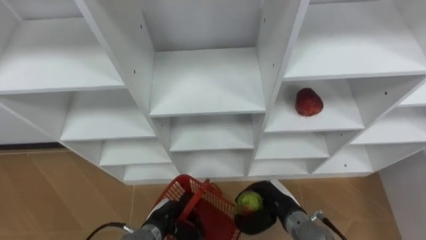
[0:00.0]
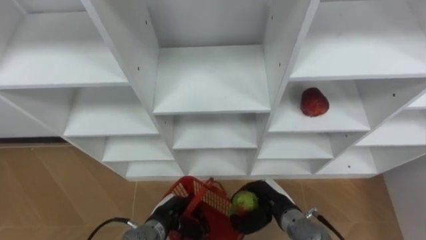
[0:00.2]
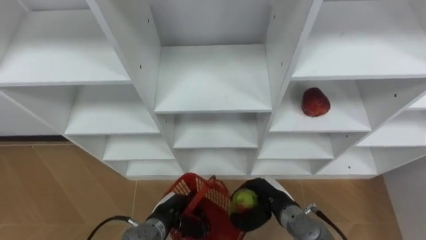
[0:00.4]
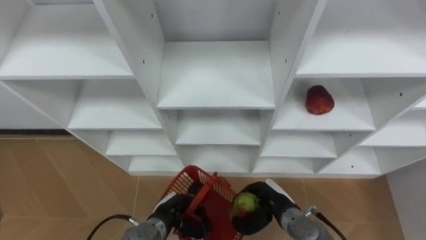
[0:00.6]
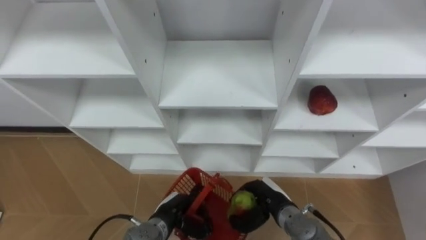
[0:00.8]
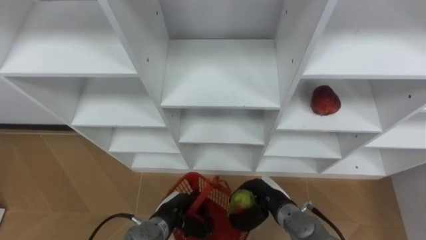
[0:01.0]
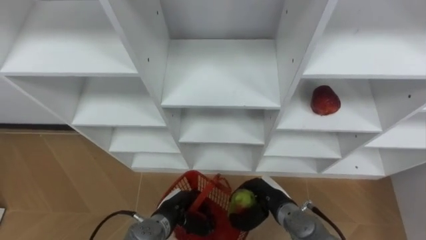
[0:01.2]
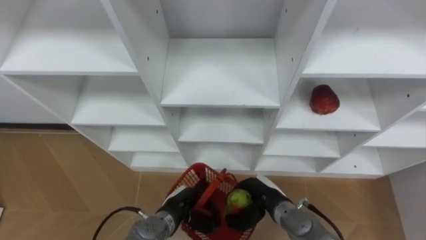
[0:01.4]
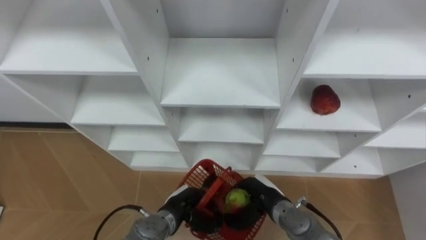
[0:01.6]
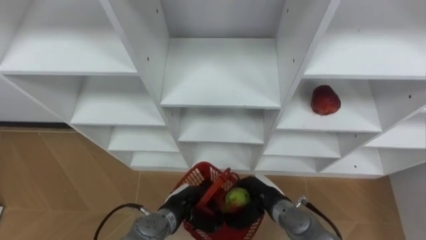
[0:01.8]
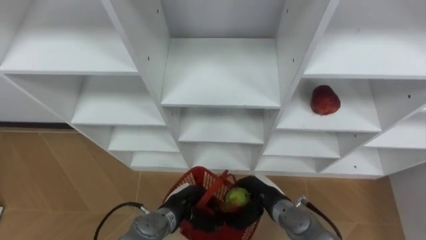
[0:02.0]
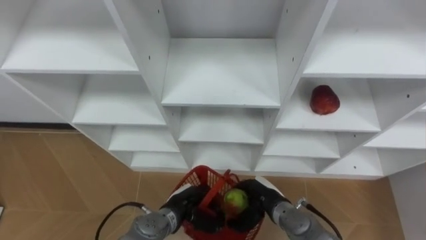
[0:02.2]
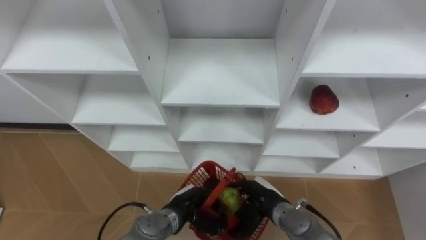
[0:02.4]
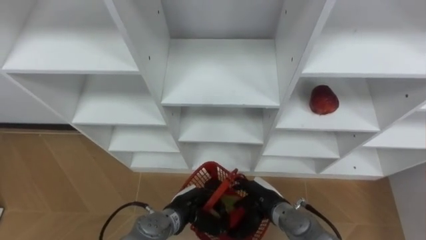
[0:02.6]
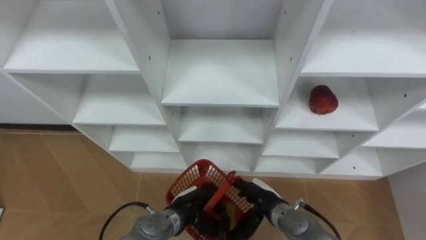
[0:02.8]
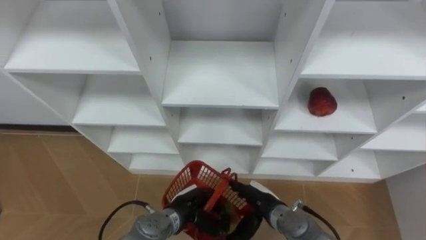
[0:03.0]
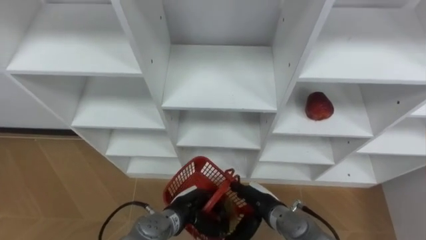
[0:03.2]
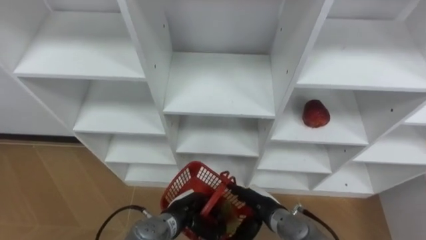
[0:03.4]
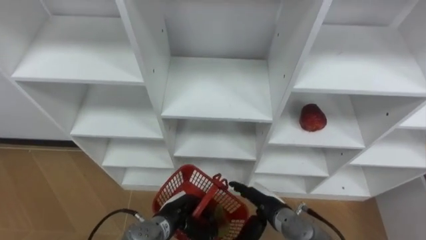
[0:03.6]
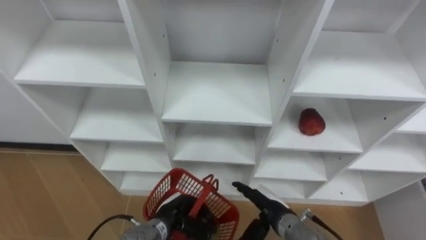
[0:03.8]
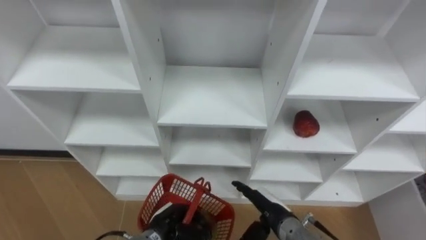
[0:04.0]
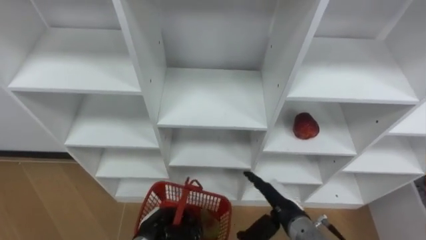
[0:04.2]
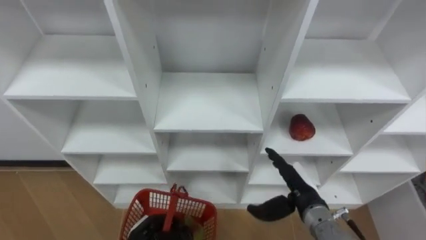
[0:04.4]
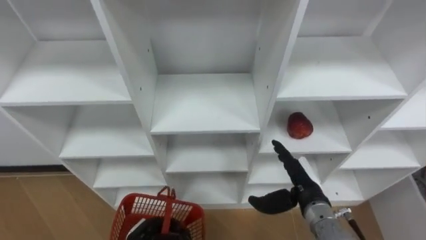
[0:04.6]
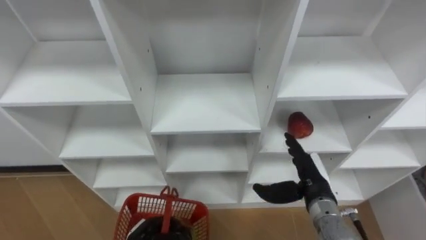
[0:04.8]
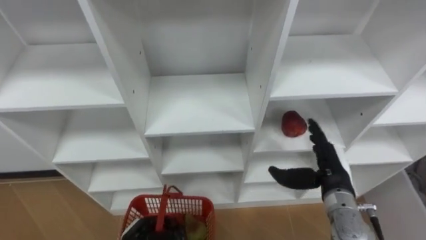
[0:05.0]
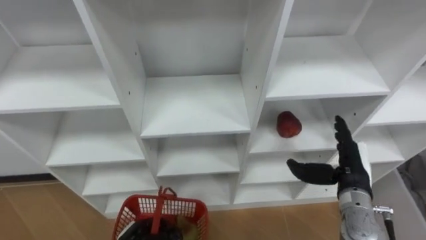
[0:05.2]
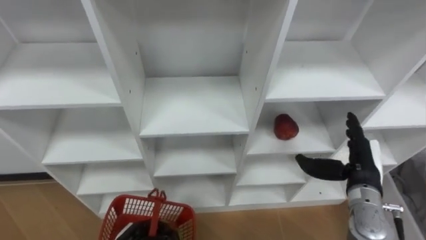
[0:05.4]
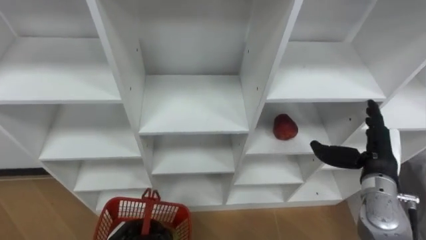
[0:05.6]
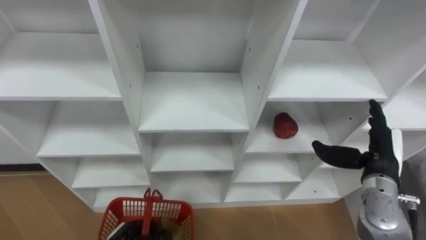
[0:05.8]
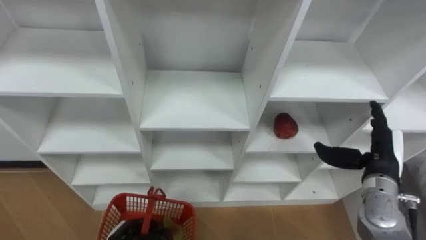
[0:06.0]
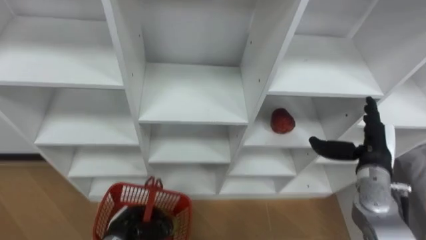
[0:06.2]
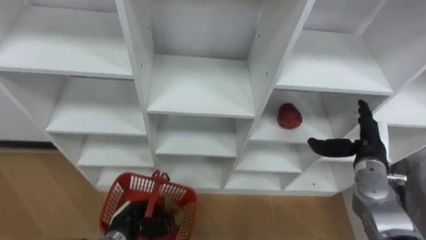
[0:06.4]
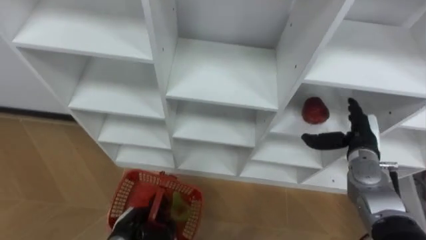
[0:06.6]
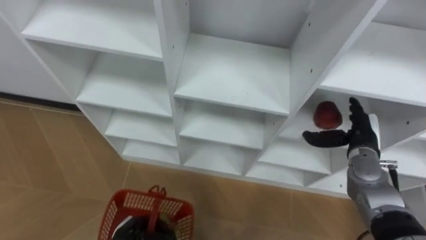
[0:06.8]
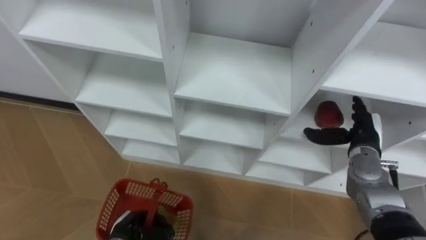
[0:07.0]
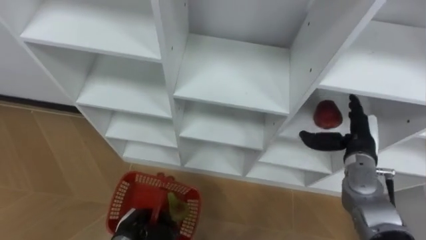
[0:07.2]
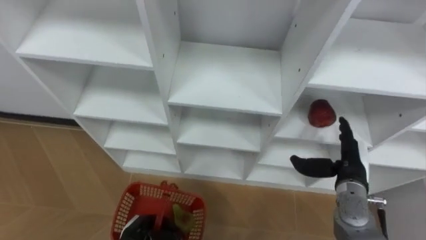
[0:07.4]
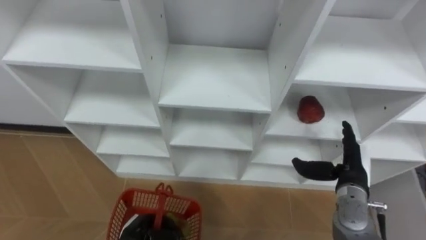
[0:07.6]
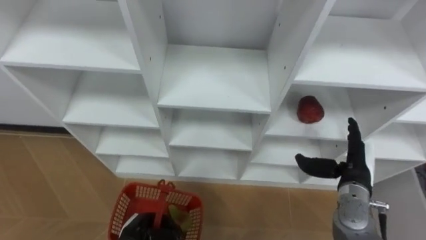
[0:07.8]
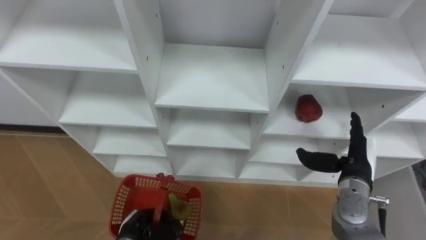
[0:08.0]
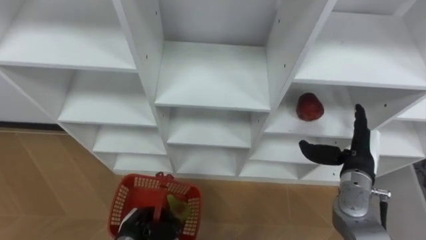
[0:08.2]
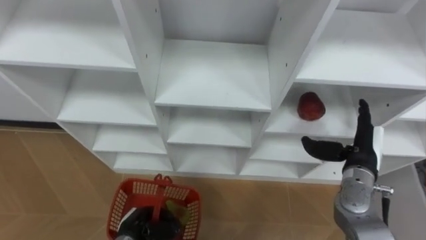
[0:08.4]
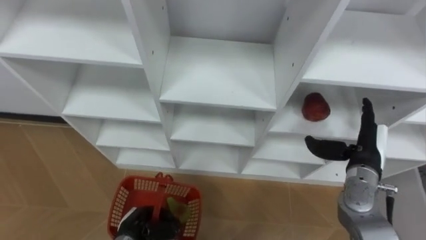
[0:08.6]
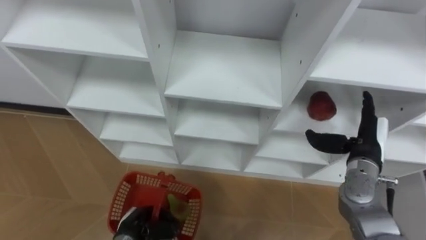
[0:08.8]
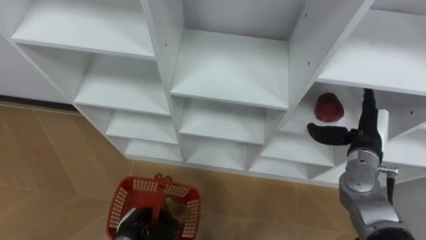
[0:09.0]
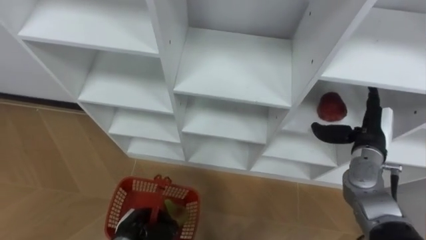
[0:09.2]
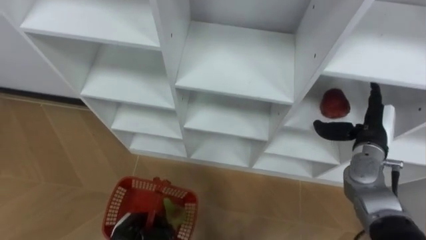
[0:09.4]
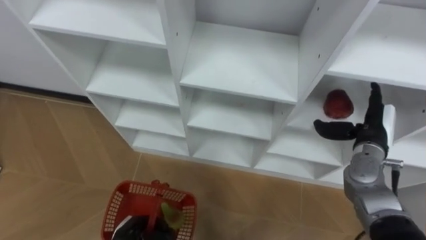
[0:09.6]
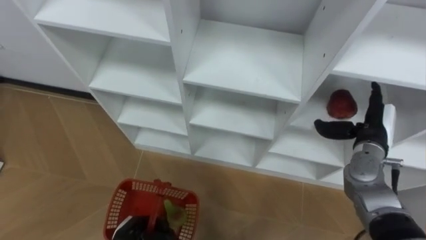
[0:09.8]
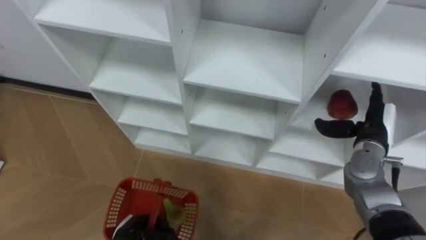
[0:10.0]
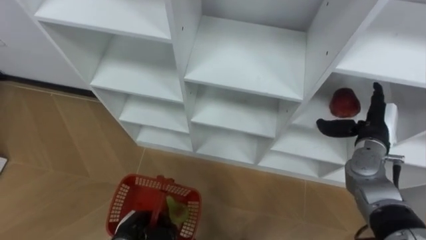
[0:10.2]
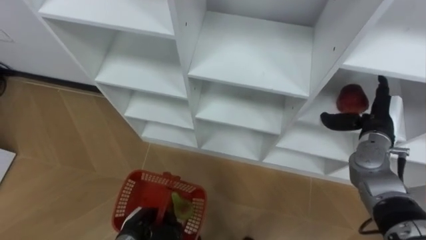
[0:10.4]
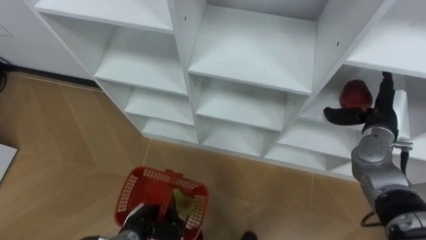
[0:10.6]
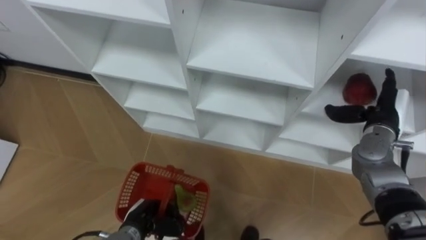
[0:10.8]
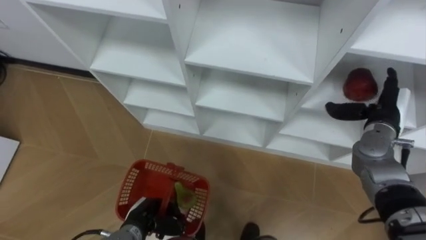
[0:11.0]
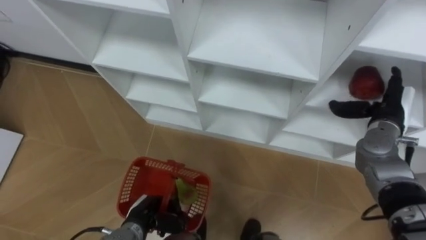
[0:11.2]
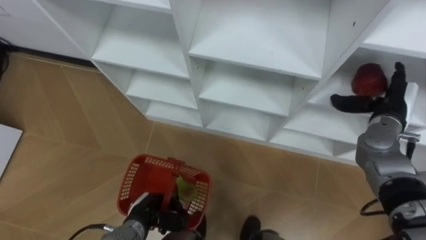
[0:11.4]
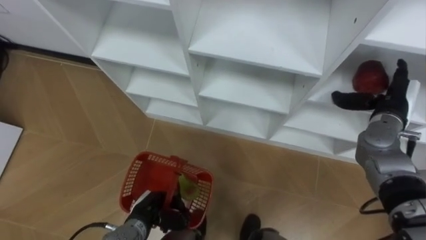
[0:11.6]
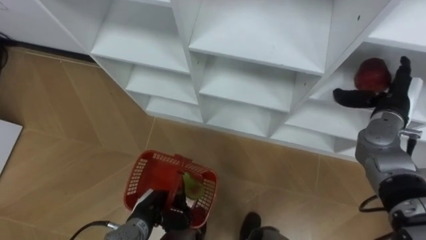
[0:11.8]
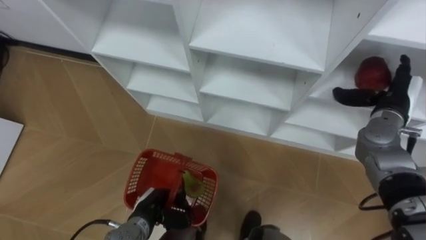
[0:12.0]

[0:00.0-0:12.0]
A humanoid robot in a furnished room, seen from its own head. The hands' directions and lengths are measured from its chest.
Task of the whole recording: Hold the basket and collect the fruits from 3 different cells of the closet into it.
0:00.0 to 0:01.6: The left hand shifts by roughly 5 cm.
0:01.6 to 0:03.0: The right hand opens its fingers.
0:03.0 to 0:04.4: The left hand travels to the left and backward by approximately 10 cm. The right hand goes approximately 10 cm to the right and upward.
0:04.4 to 0:06.0: The right hand is displaced to the right and upward by approximately 15 cm.
0:06.0 to 0:07.6: The right hand moves roughly 5 cm.
0:07.6 to 0:09.0: The right hand goes some 5 cm forward.

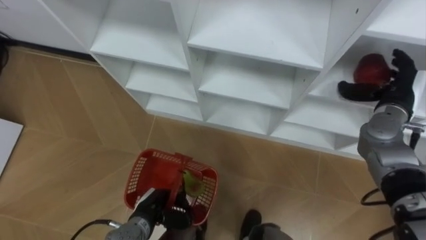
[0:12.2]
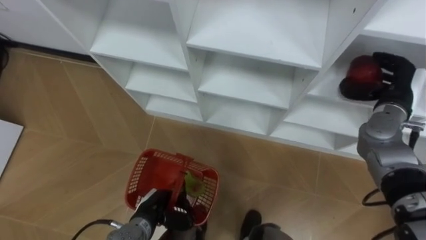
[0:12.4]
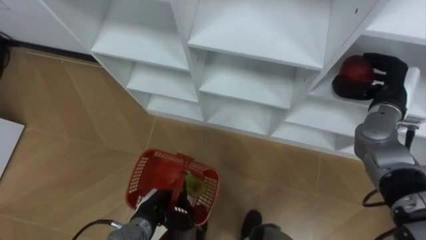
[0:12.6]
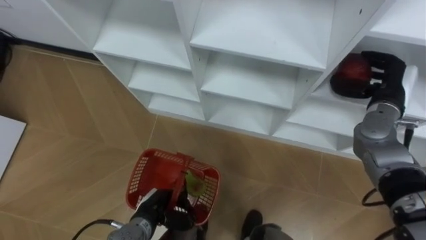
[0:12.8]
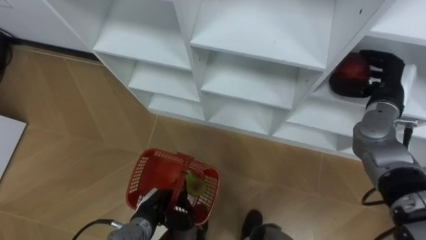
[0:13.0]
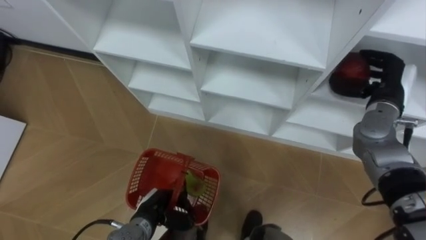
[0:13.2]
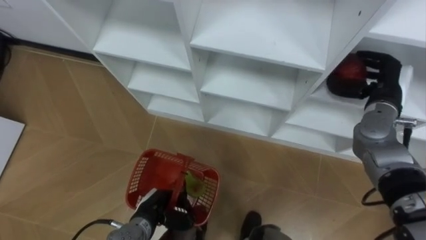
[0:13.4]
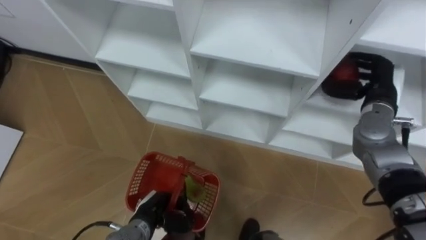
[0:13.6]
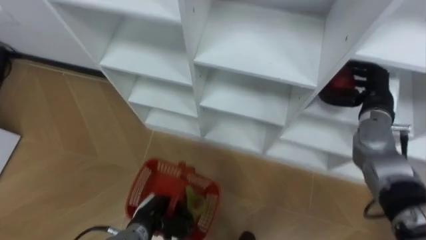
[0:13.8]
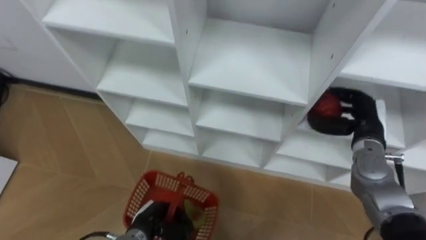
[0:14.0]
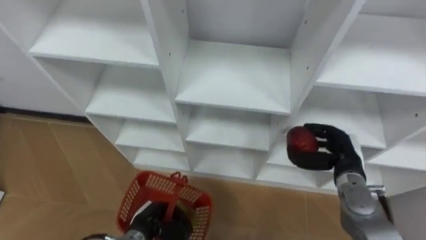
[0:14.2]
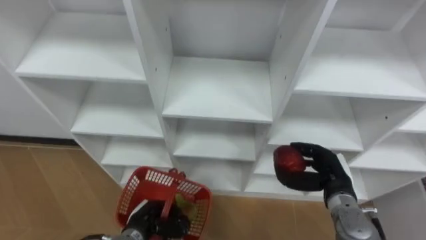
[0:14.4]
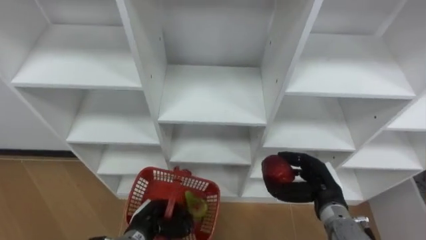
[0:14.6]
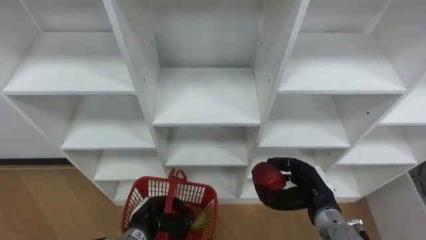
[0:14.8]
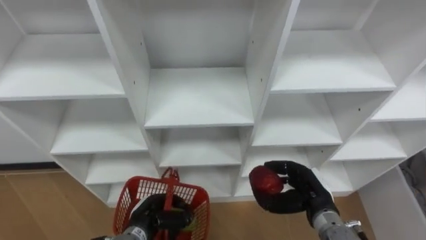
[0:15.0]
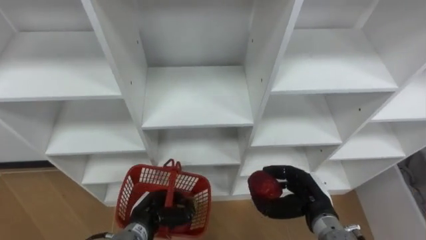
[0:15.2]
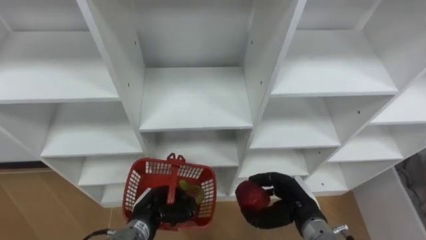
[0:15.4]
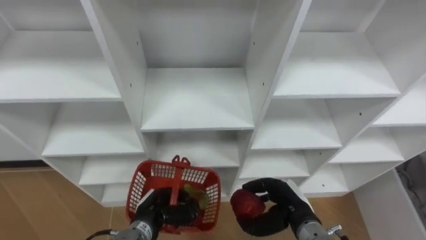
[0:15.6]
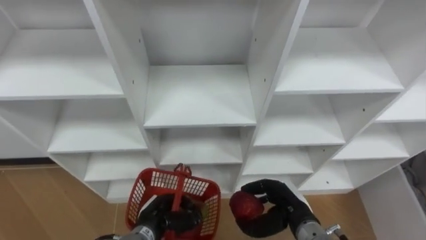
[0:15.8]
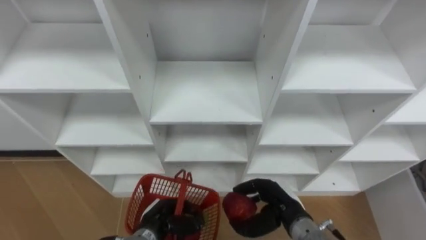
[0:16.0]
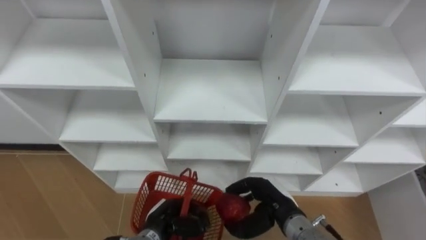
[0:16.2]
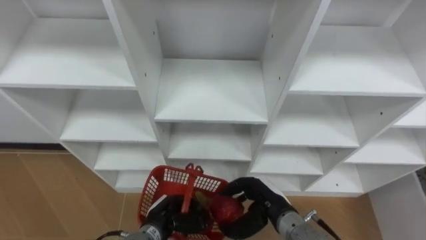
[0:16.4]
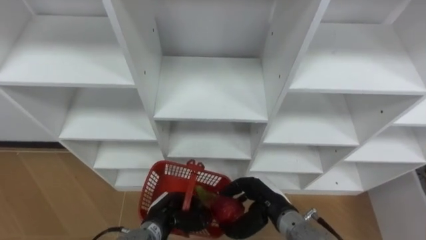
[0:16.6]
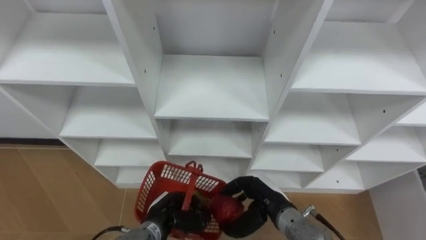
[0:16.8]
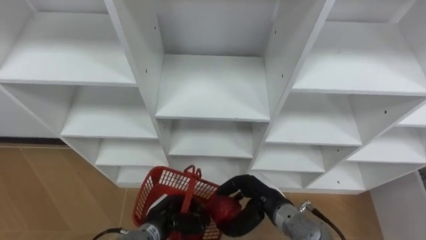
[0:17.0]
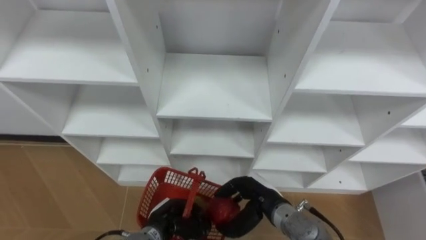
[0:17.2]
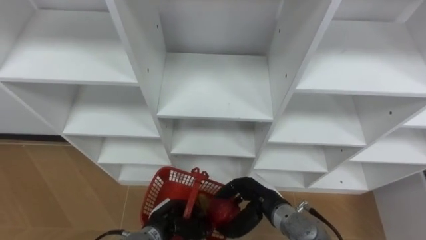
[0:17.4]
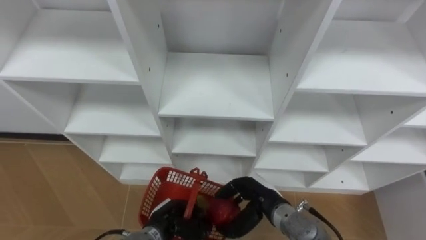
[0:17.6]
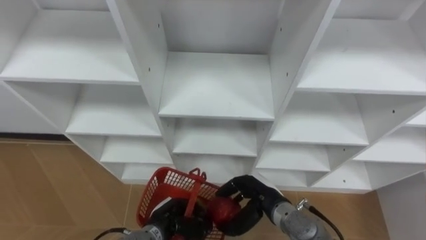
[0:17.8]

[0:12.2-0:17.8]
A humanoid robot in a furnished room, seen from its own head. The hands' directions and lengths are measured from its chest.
Task of the whole recording: Hold the basket and collect the fruits from 3 different cells of the closet into it.
0:12.2 to 0:13.6: The right hand closes up.
0:13.6 to 0:15.0: The right hand travels backward, downward and to the left by roughly 25 cm.
0:15.0 to 0:16.4: The right hand travels to the left by approximately 10 cm.
